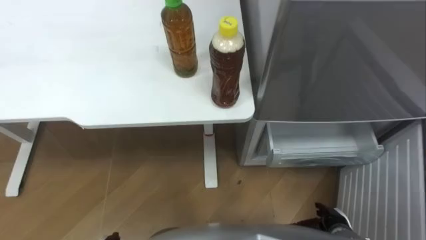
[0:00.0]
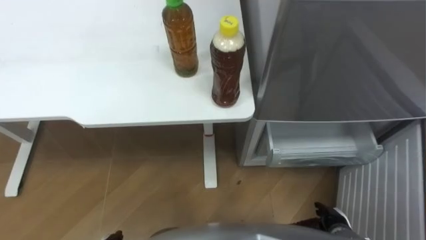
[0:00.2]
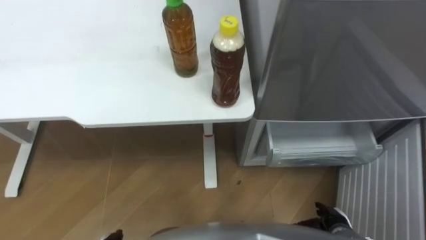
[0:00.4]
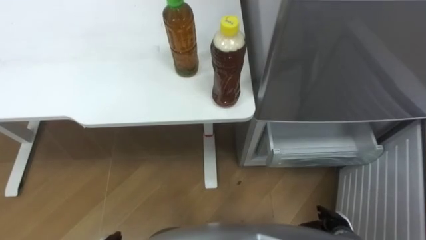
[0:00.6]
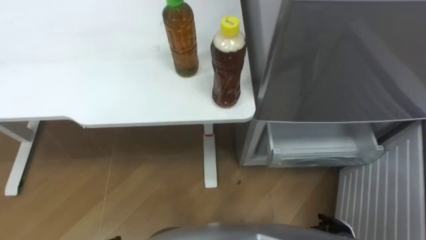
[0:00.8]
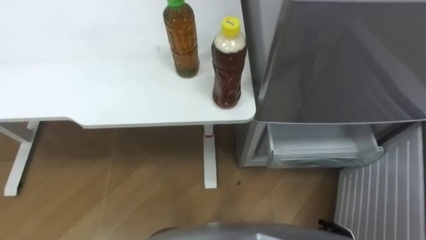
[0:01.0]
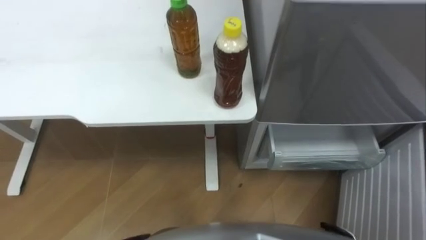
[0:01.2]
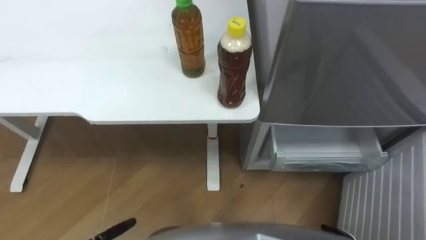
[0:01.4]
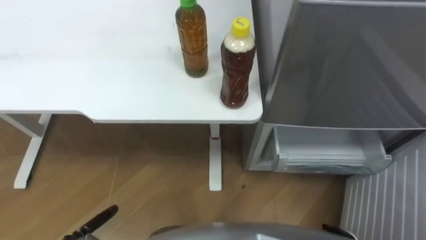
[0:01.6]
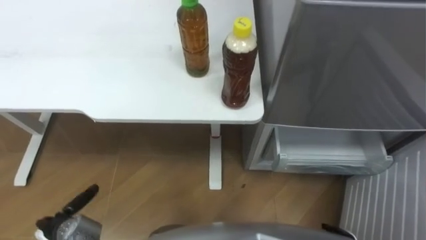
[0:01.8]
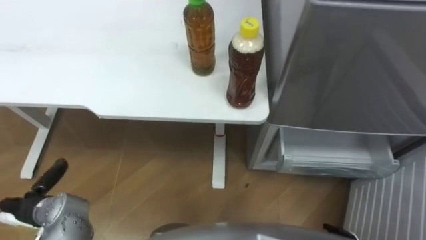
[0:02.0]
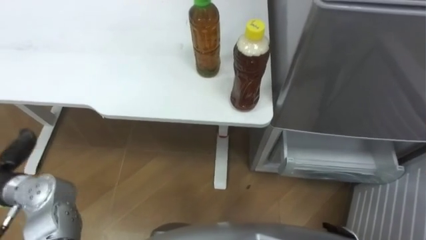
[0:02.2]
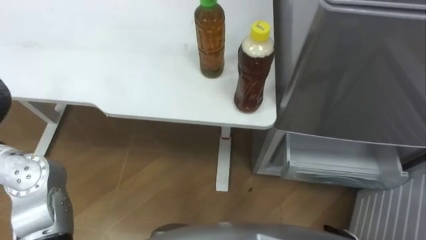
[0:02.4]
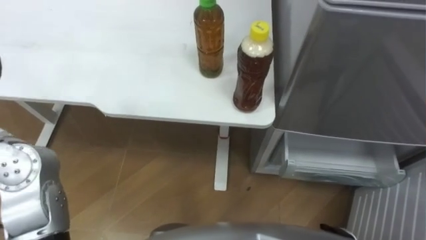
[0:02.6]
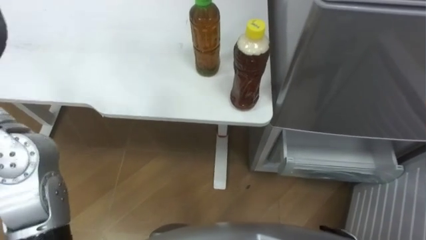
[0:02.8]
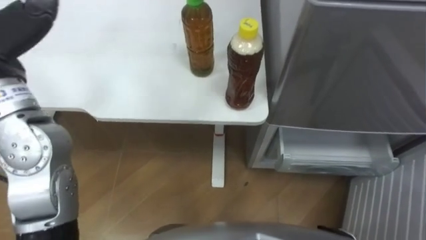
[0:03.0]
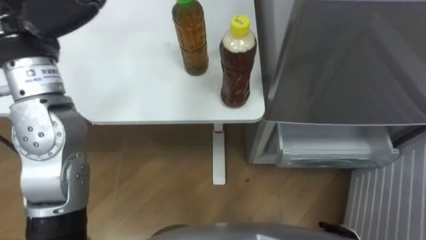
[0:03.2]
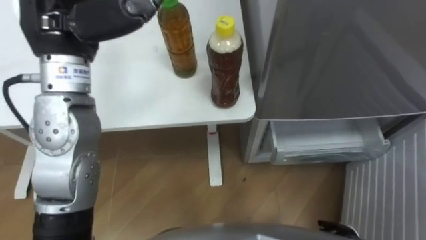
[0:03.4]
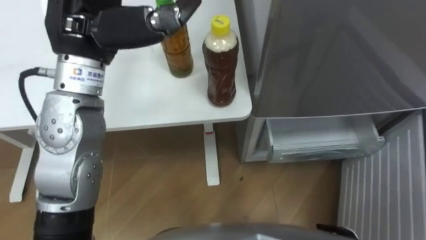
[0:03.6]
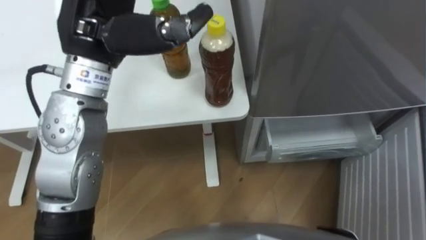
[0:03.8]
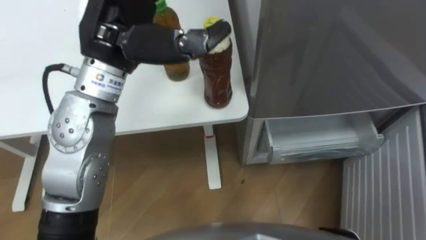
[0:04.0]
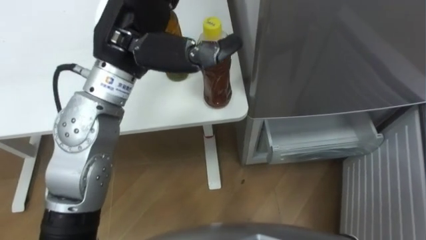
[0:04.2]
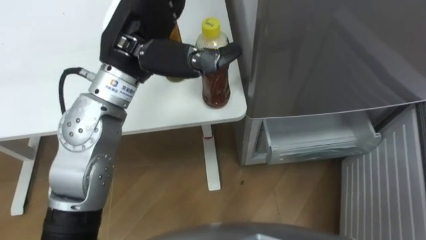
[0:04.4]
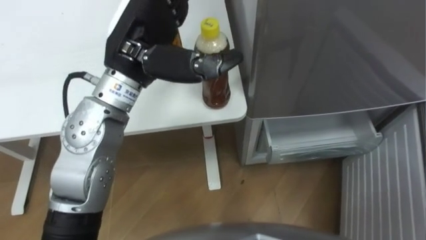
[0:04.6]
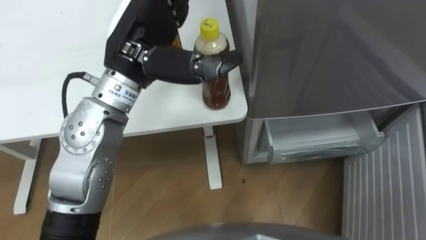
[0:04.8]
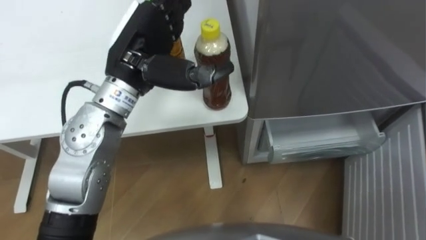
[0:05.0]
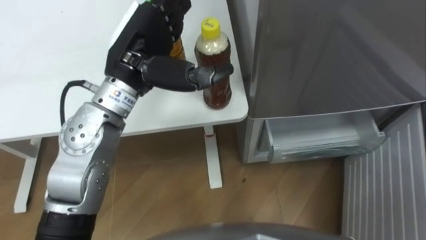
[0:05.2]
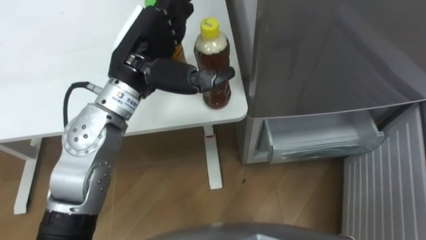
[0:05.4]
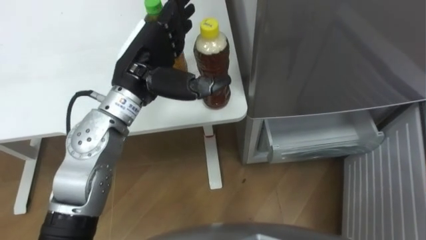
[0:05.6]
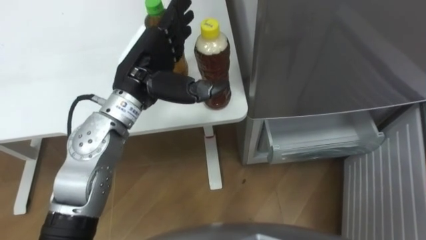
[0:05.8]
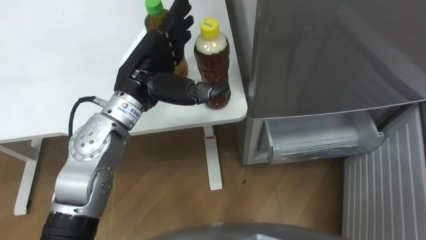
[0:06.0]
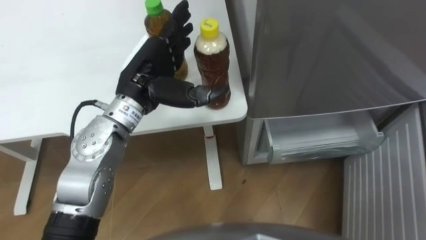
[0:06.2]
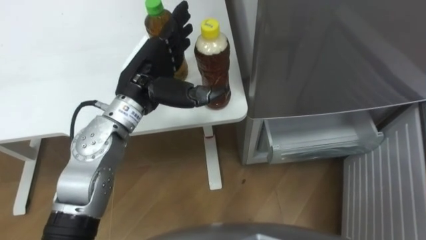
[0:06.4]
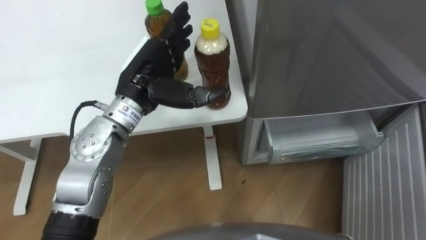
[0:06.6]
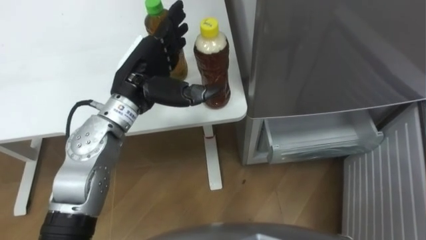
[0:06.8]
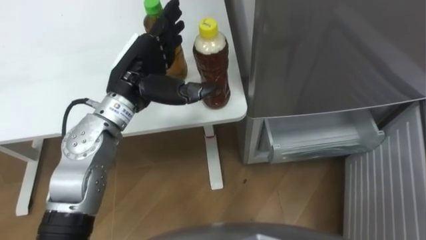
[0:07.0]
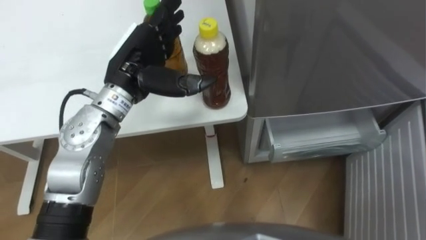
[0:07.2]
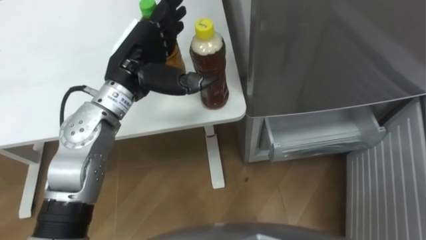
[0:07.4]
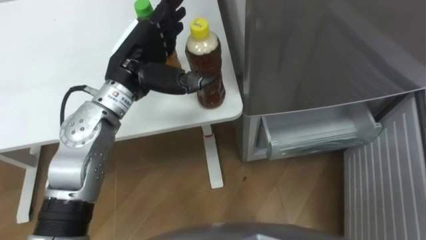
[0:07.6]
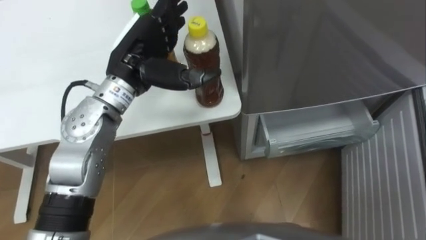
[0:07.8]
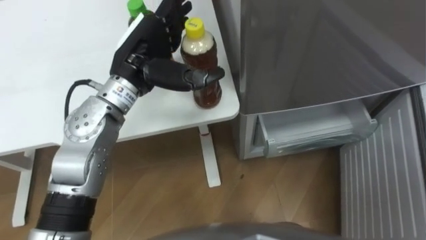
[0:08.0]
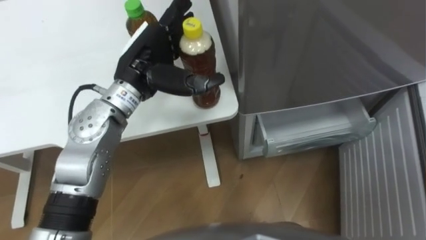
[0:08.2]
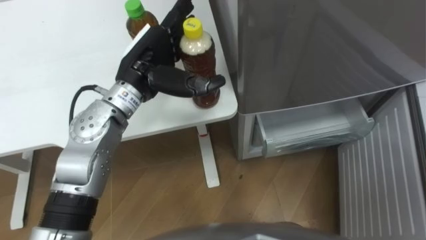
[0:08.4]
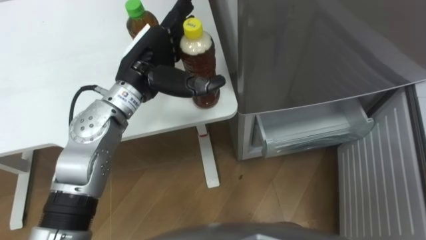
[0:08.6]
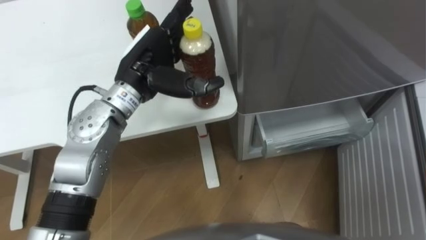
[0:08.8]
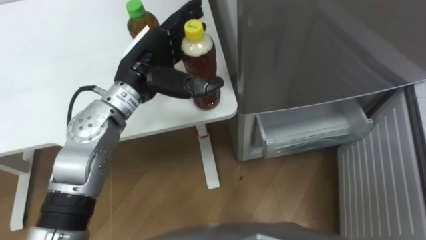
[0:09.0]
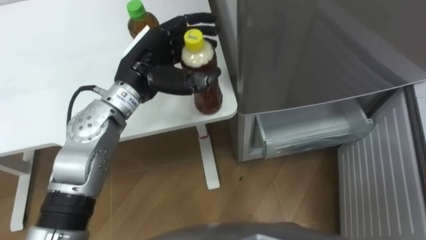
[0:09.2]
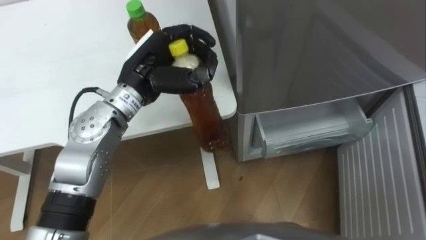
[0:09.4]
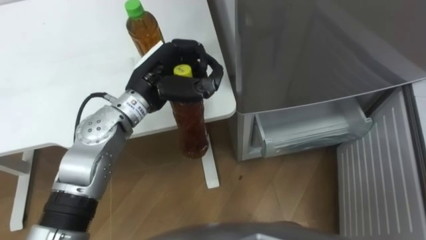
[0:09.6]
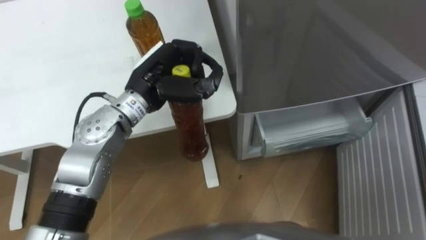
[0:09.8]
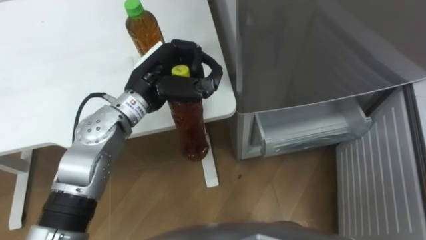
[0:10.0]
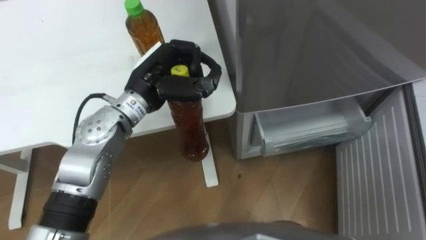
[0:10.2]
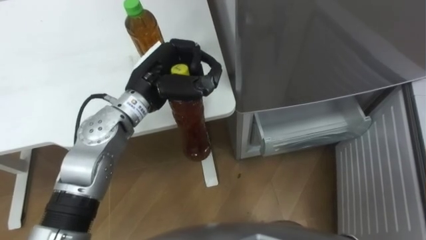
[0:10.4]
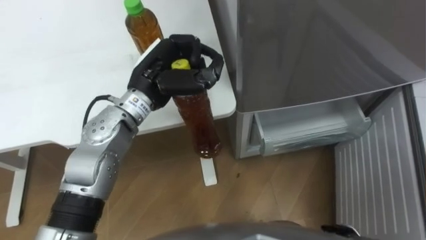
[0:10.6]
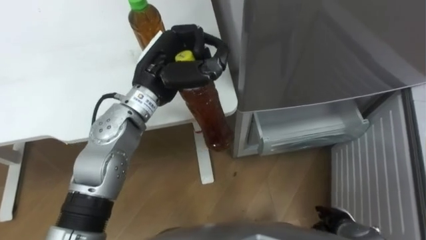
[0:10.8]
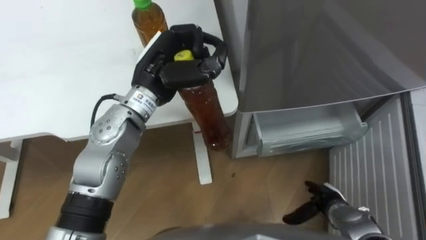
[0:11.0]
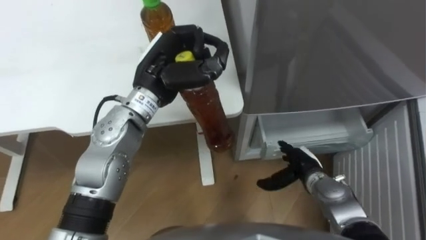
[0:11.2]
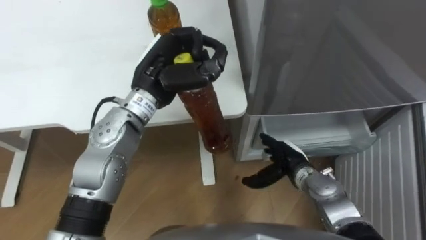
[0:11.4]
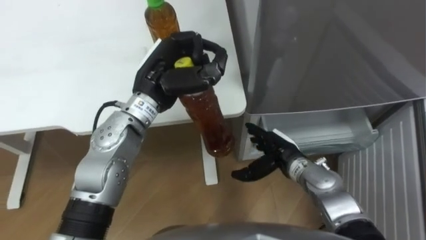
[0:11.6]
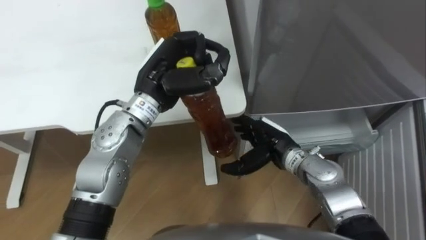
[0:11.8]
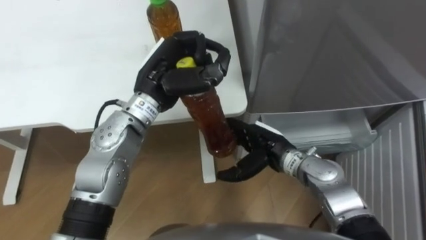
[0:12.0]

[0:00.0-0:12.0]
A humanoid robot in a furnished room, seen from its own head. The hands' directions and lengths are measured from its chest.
Task of the whole recording: Place the drink on the table on the bottom shelf of the refrigerator, then close the drawer and the refrigerator door.
0:04.4 to 0:06.0: The left hand heads downward, covering about 10 cm.
0:09.0 to 0:10.4: The left hand closes its fingers.

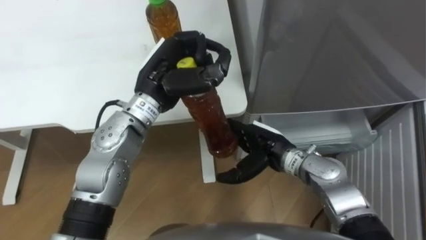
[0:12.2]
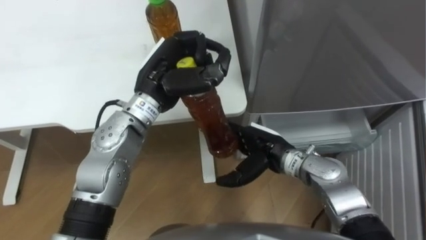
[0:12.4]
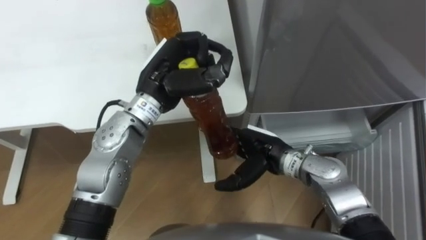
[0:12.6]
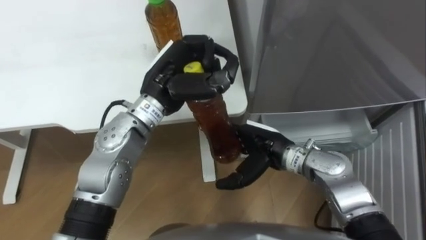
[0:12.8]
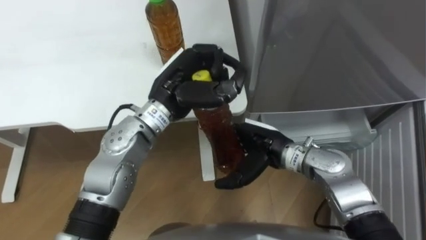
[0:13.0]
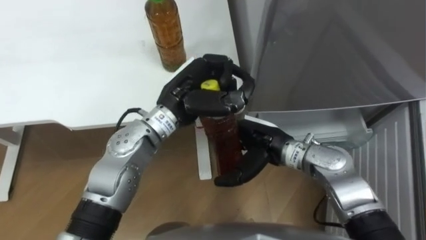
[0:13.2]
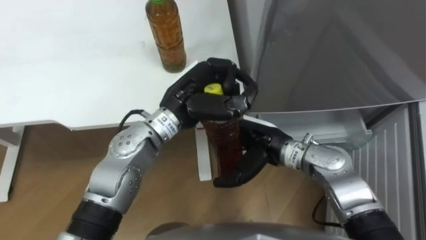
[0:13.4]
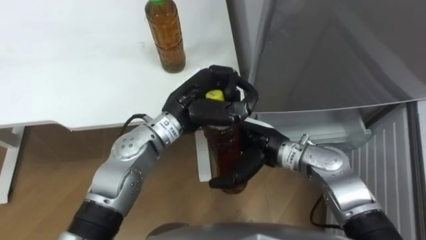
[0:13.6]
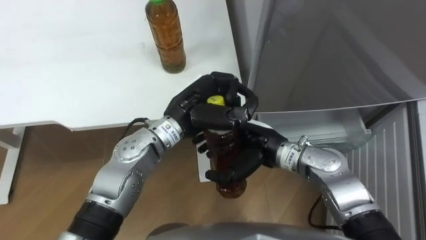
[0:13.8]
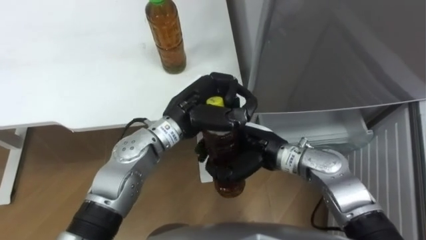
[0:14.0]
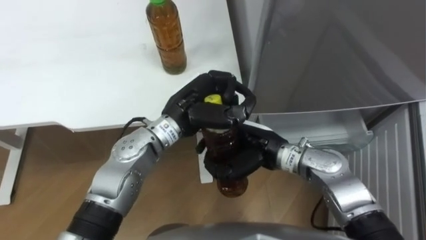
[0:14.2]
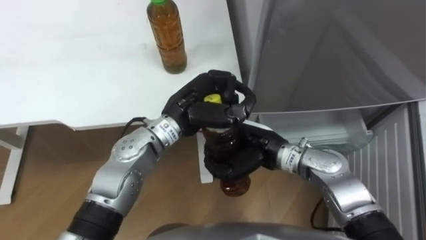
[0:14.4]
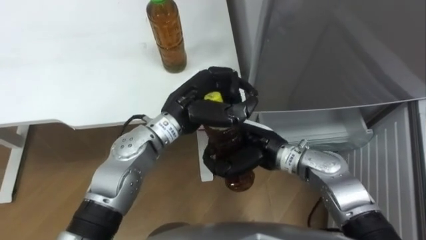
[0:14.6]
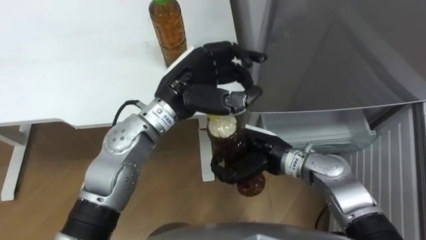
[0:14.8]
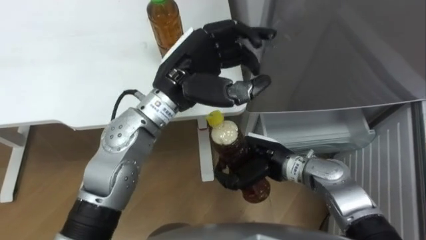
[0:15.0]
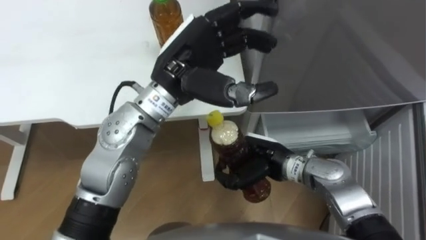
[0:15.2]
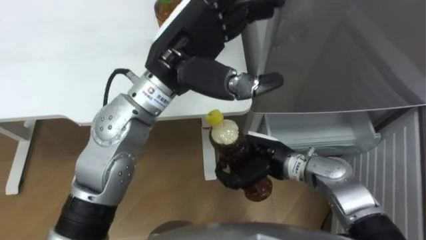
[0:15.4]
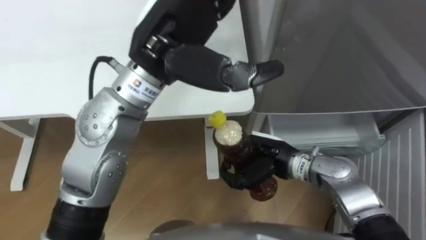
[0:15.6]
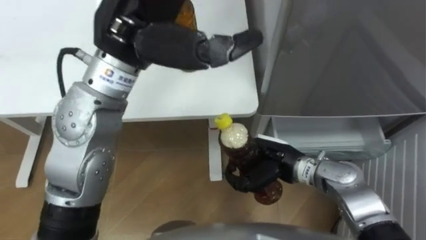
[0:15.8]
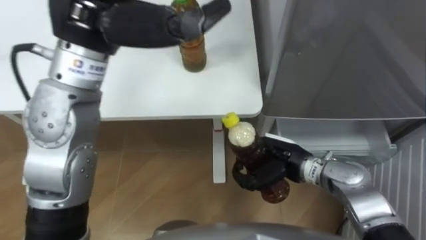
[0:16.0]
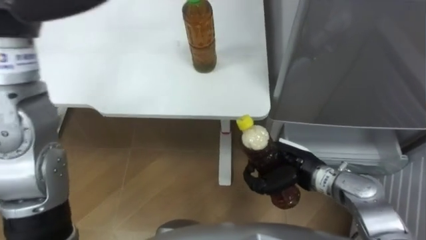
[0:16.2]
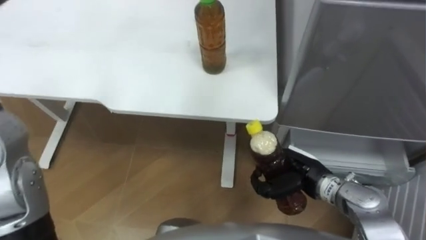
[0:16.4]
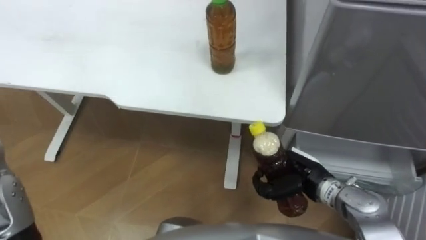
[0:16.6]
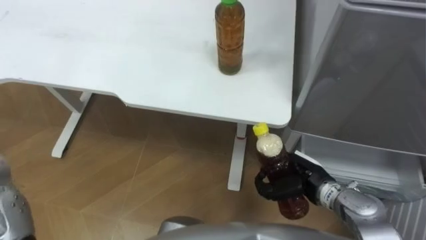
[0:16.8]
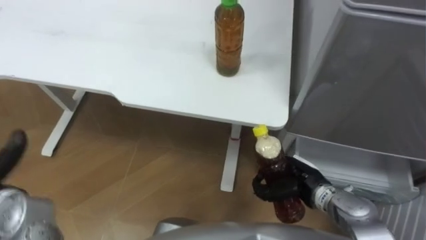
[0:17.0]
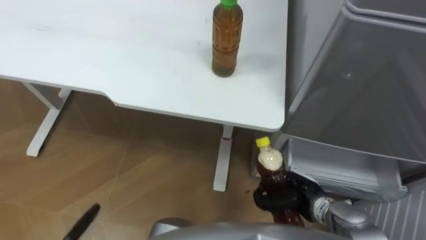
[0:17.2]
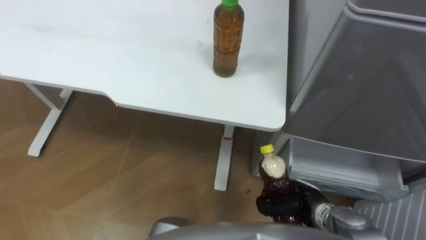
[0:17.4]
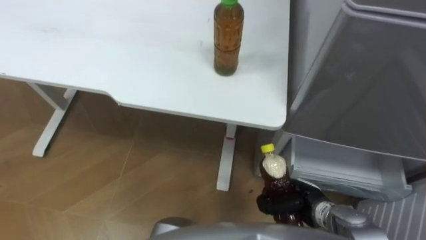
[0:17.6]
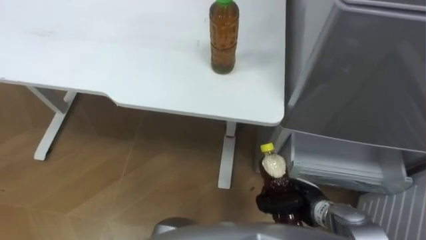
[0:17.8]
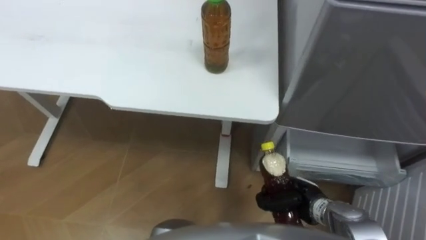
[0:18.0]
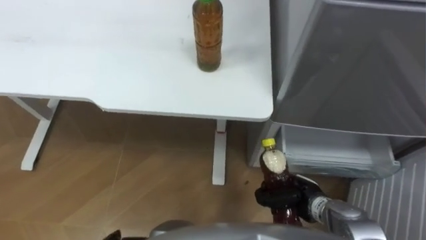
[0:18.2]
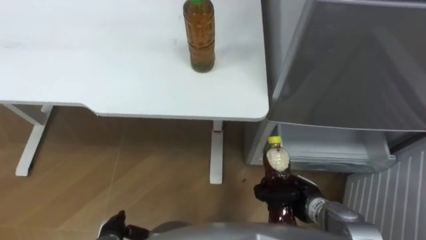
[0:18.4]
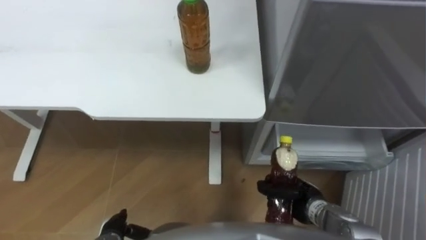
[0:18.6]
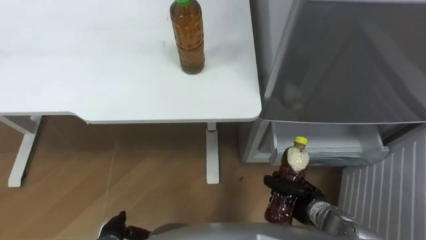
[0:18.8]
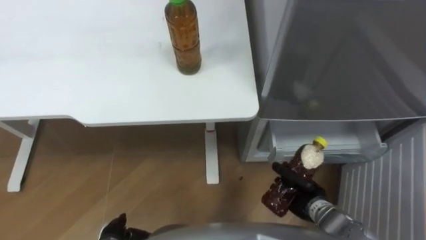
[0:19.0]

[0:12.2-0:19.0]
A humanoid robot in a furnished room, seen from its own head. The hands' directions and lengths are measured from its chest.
Task of the whole recording: Place the drink on the table on the bottom shelf of the refrigerator, then close the drawer and the refrigerator door.
0:12.2 to 0:13.6: The left hand moves about 5 cm.
0:13.6 to 0:15.0: The right hand closes up. The left hand shifts some 10 cm upward, and opens its fingers.
0:15.0 to 0:16.2: The right hand moves to the right, some 5 cm.
0:16.2 to 0:17.6: The right hand is displaced downward and backward by some 10 cm.
